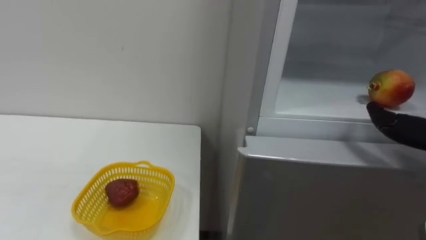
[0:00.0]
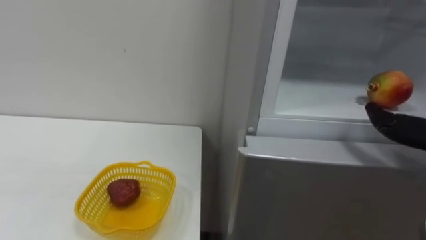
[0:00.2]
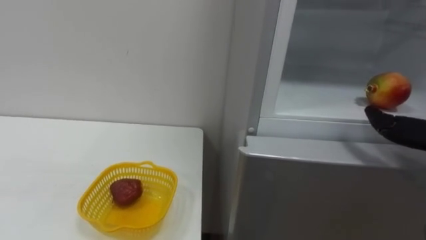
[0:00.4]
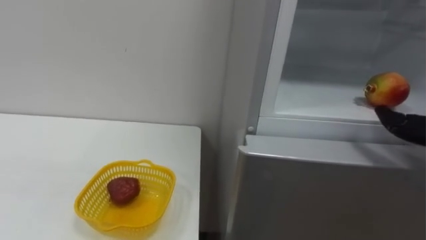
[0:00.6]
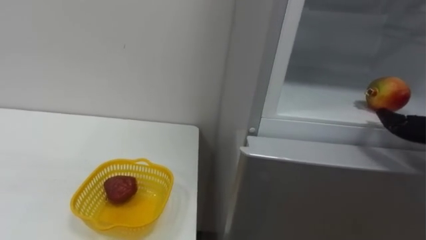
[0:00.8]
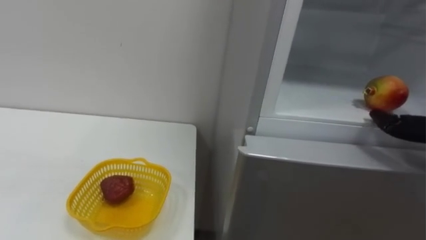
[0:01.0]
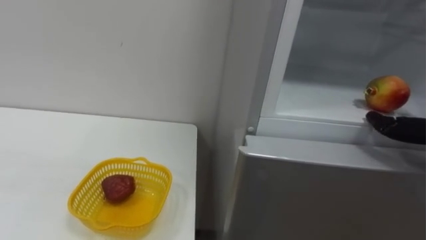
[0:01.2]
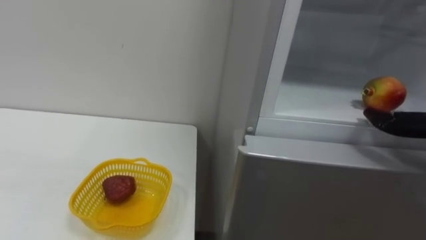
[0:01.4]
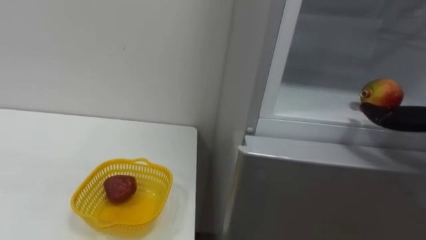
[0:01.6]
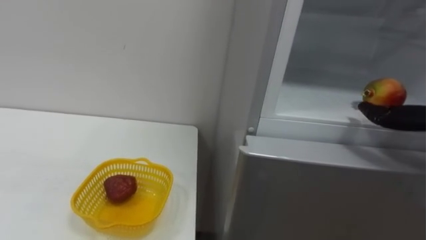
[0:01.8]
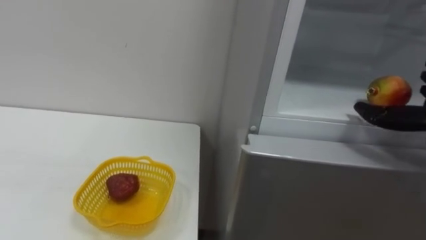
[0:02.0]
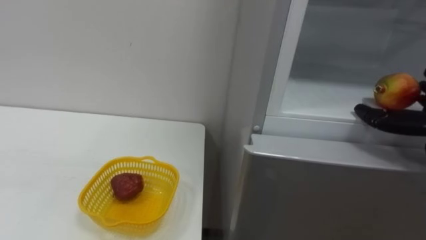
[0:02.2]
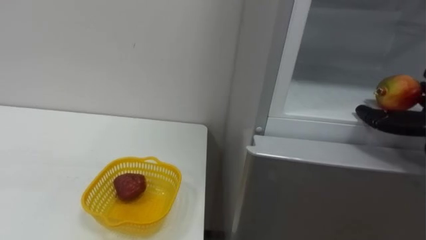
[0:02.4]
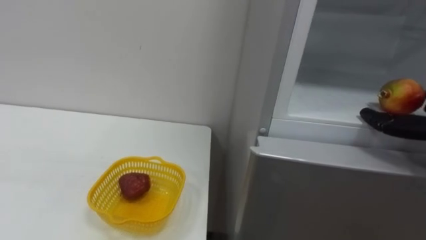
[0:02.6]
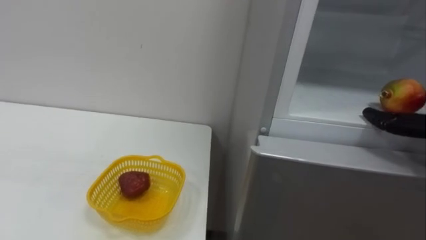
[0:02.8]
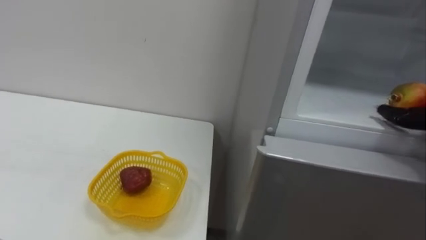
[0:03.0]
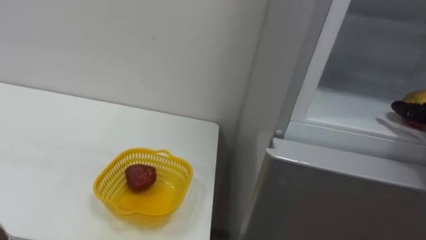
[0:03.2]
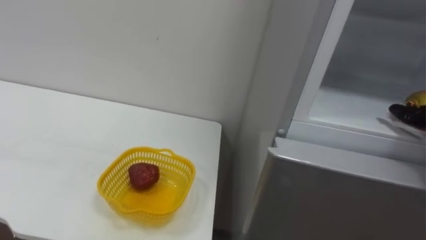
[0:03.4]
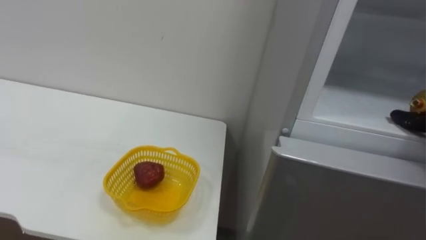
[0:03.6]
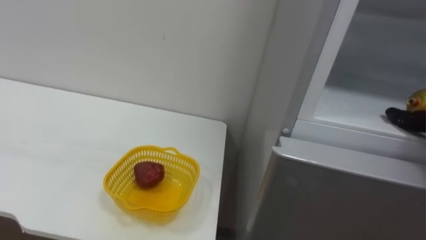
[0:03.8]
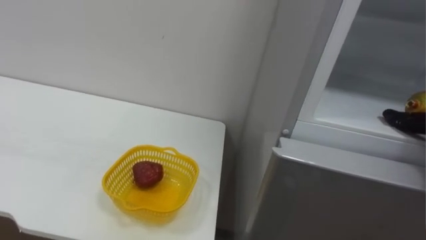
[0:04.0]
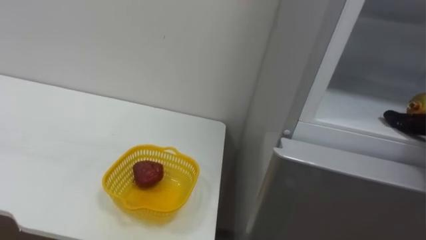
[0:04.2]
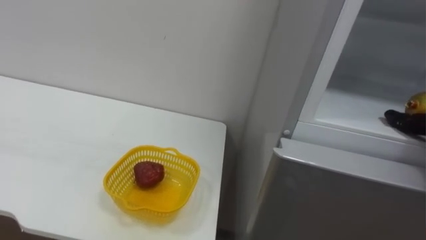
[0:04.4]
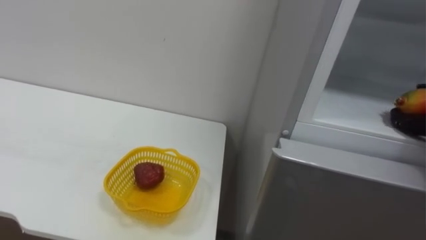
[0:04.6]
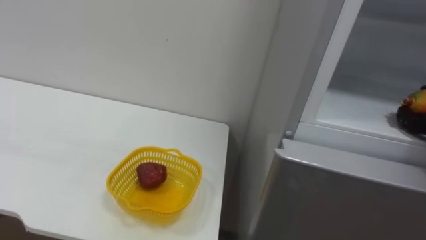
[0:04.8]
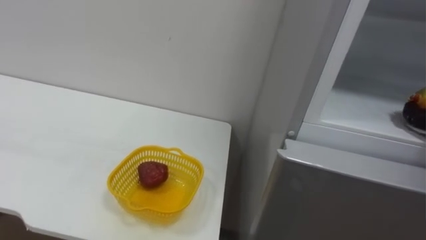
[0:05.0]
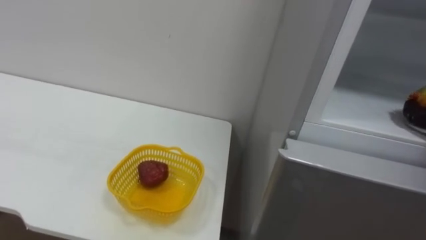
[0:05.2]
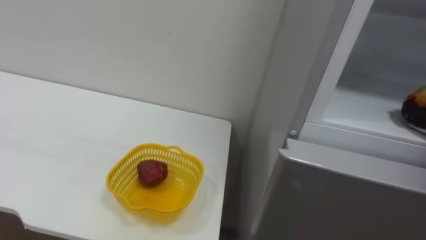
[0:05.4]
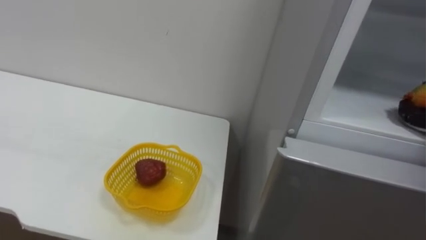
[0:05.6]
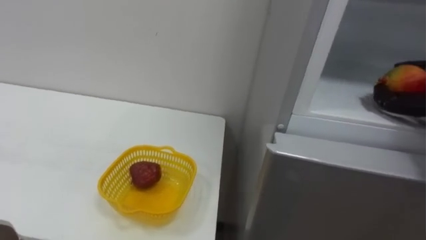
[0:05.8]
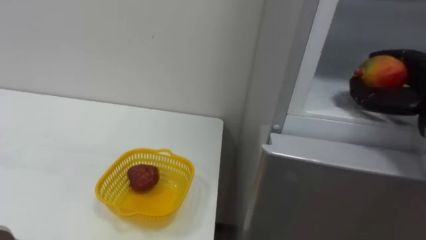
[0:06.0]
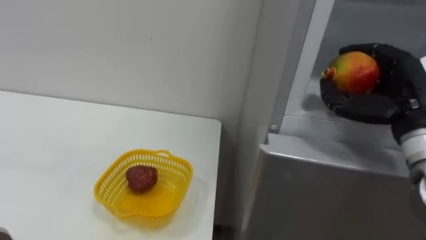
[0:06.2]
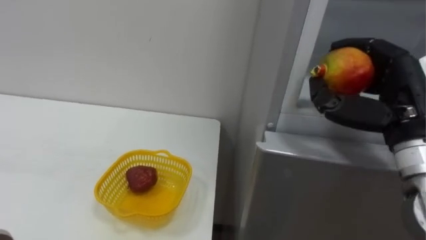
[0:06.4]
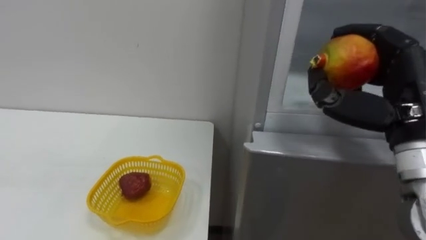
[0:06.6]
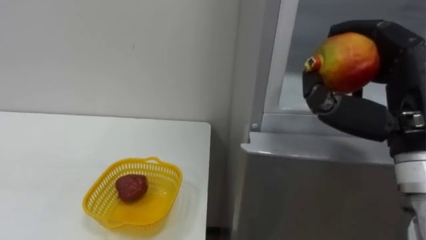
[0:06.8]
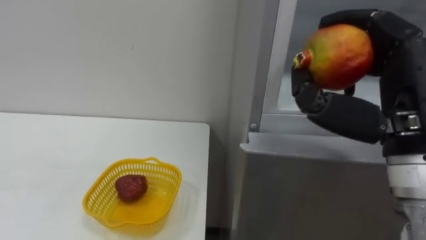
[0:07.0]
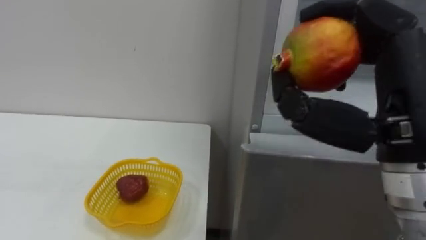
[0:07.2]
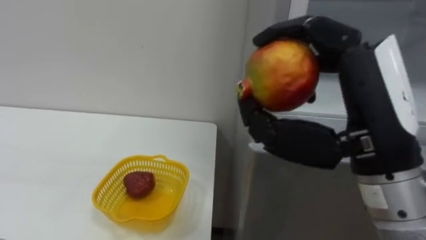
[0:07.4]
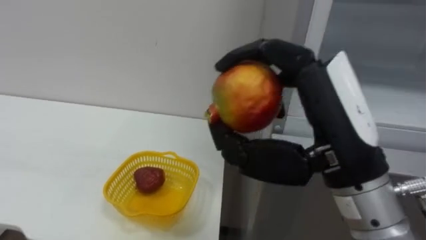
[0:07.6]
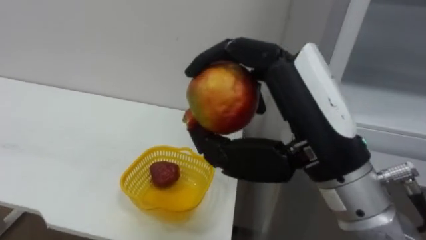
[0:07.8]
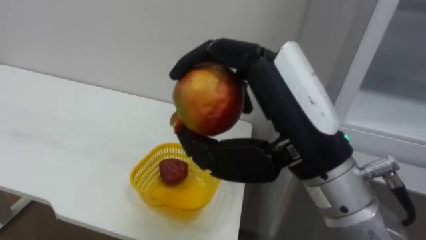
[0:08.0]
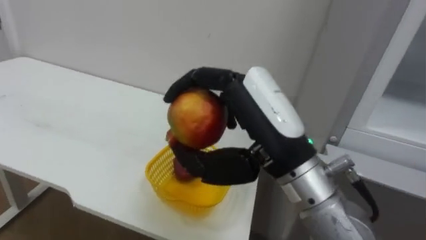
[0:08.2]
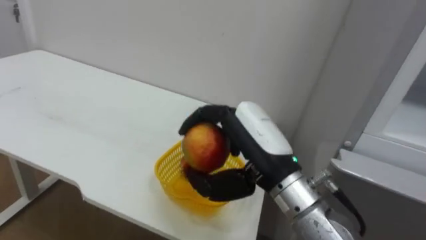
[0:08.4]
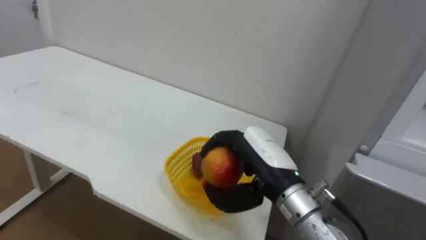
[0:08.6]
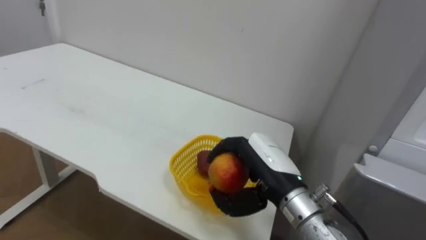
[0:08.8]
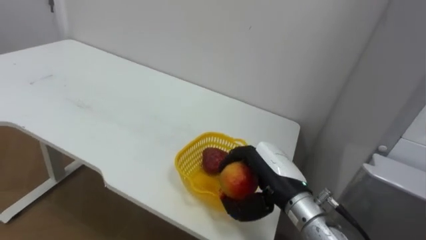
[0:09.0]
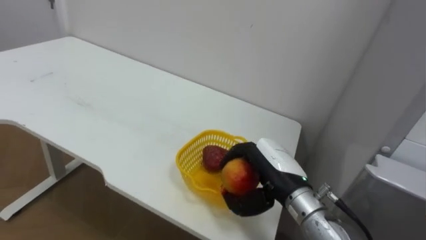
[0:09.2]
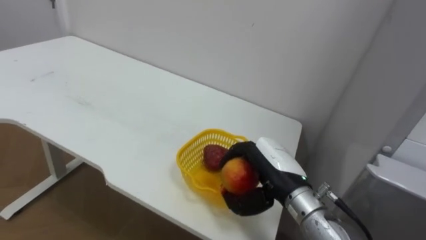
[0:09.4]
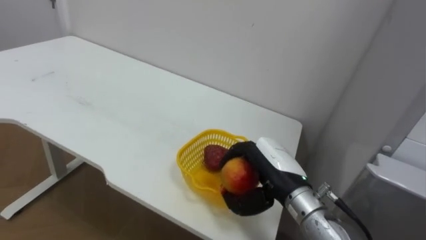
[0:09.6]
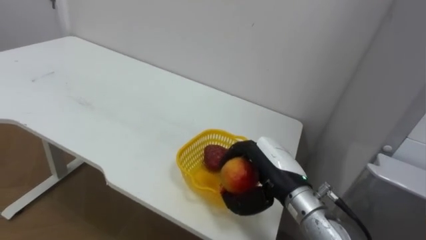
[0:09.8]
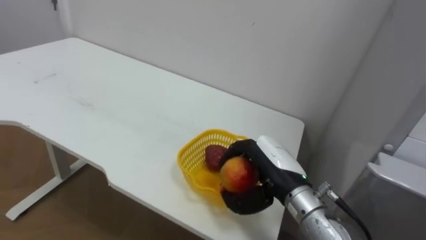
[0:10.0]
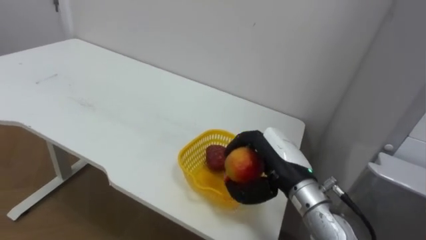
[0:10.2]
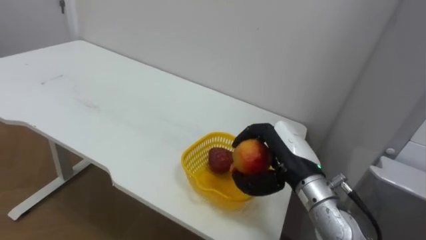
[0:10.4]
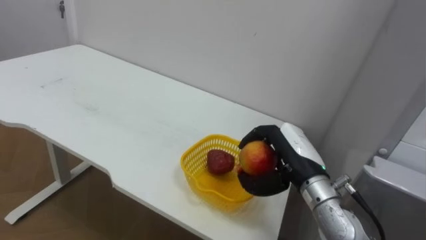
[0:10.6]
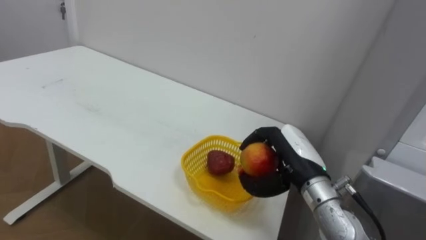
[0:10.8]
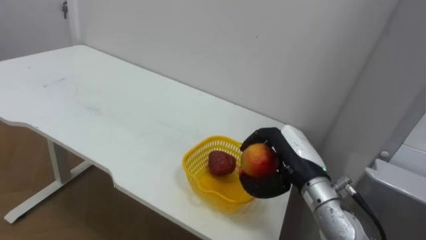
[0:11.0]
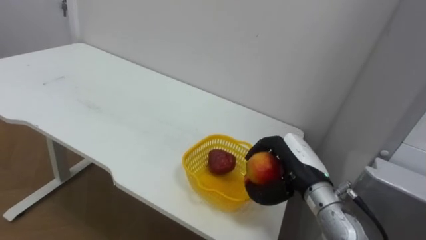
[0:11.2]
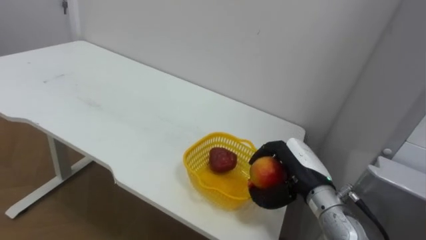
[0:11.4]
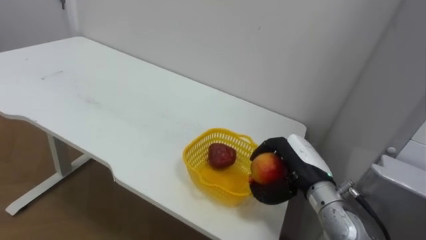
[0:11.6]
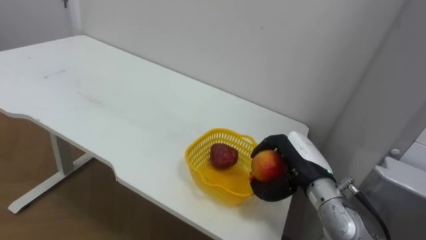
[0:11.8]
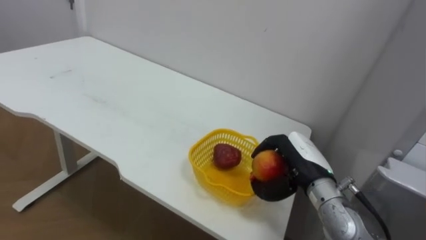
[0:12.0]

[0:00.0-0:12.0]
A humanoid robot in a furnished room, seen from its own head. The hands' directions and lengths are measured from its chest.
Task of the whole recording: Open the refrigerator door, take out the apple and the pomegranate, place them in the fruit basket on the left, and close the refrigerator door.
0:07.6 to 0:09.0: The right hand heads downward and forward, covering about 20 cm.
0:10.4 to 0:12.0: The right hand changes place by approximately 5 cm.

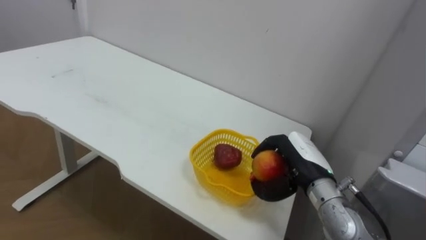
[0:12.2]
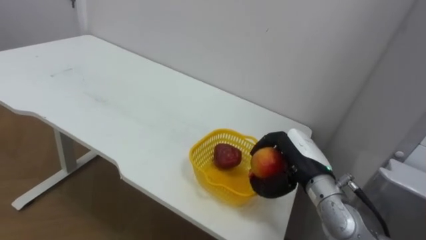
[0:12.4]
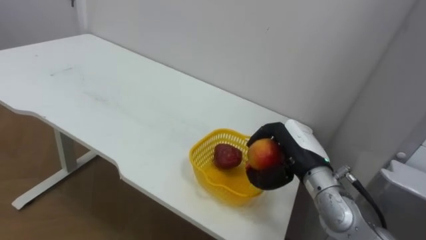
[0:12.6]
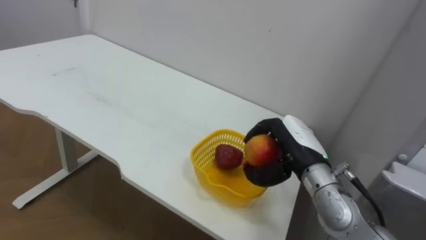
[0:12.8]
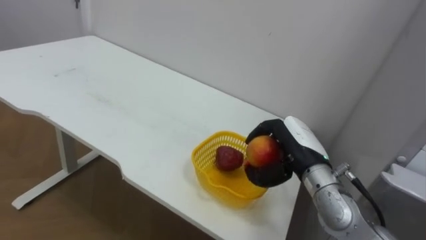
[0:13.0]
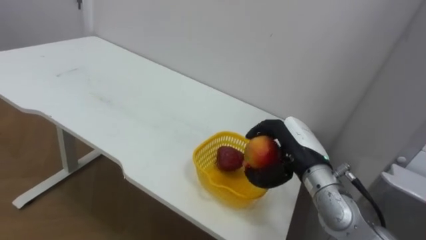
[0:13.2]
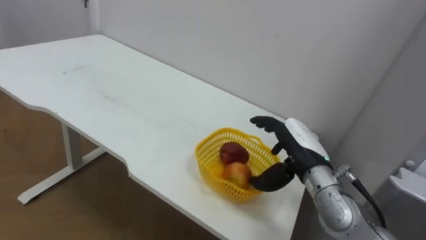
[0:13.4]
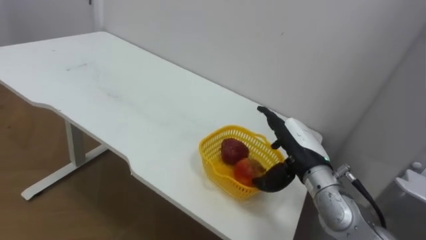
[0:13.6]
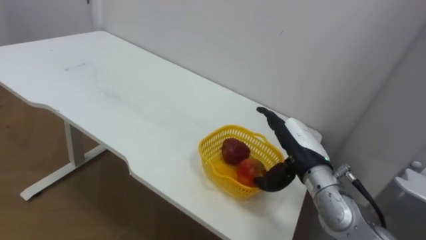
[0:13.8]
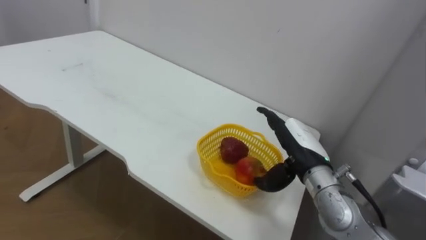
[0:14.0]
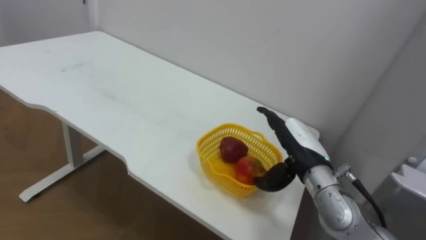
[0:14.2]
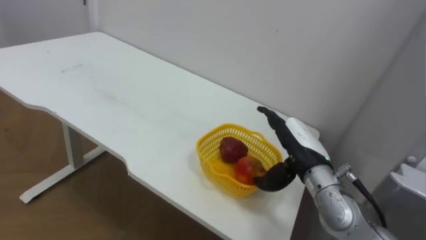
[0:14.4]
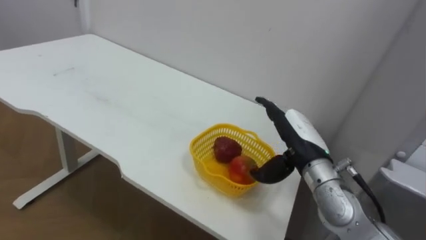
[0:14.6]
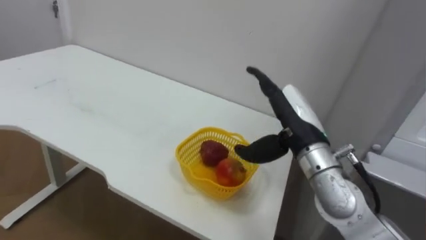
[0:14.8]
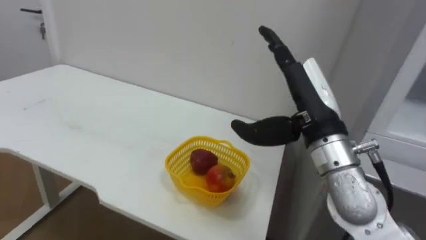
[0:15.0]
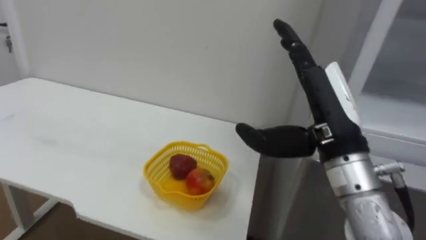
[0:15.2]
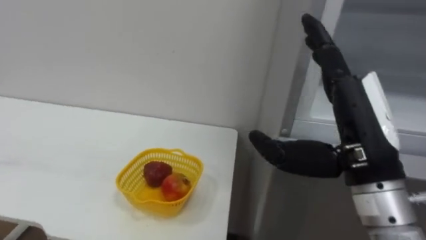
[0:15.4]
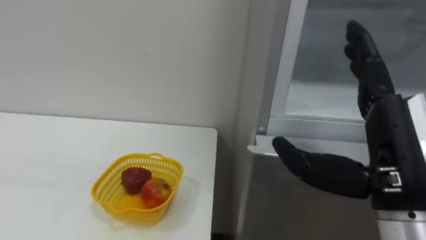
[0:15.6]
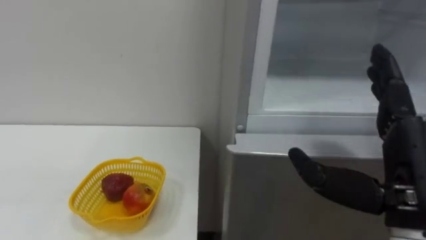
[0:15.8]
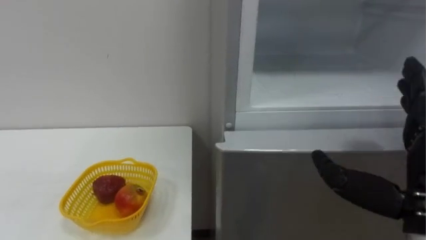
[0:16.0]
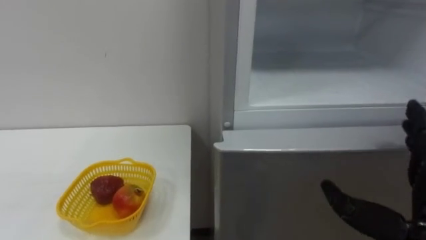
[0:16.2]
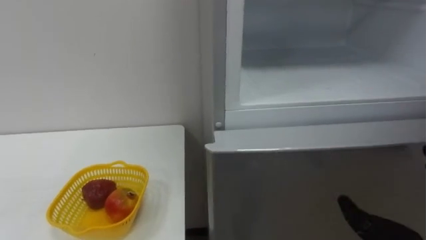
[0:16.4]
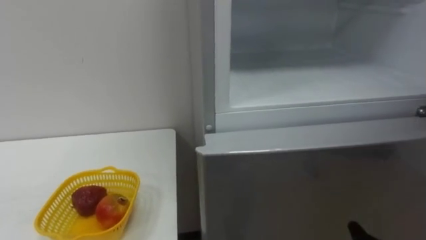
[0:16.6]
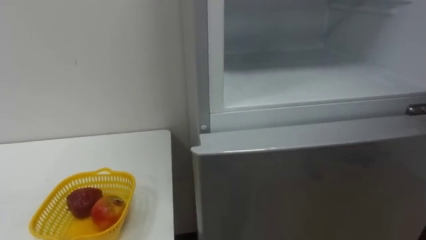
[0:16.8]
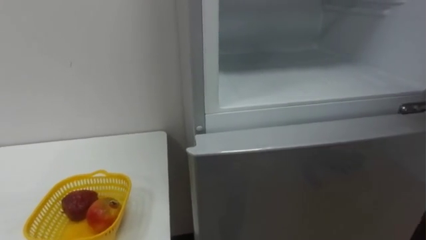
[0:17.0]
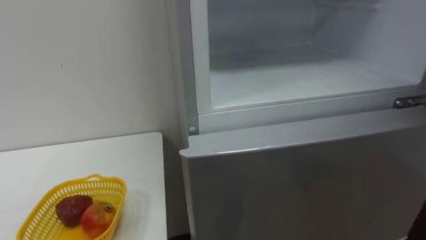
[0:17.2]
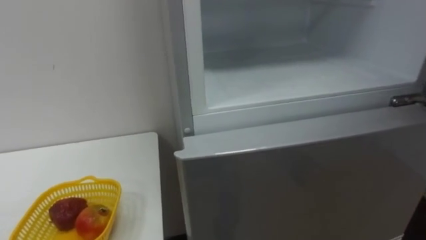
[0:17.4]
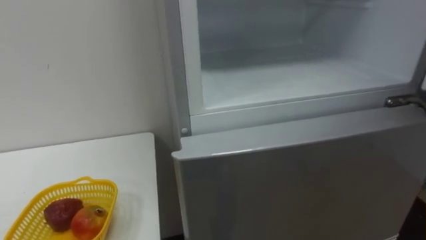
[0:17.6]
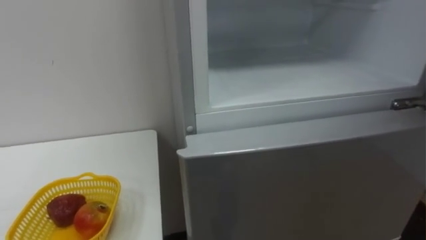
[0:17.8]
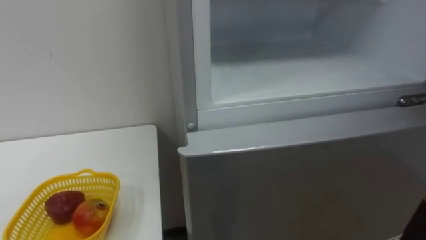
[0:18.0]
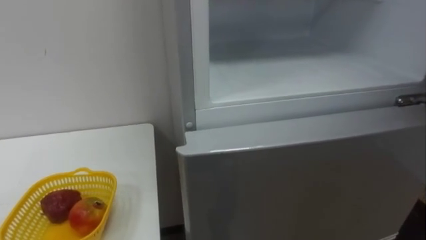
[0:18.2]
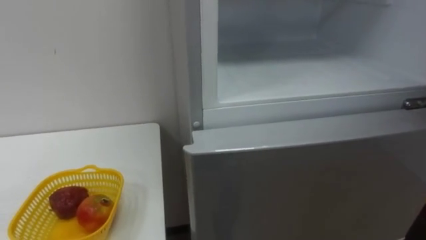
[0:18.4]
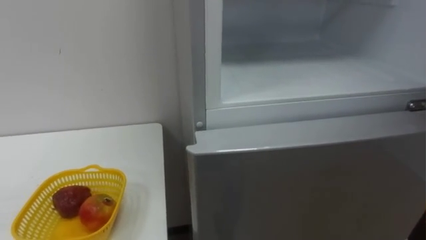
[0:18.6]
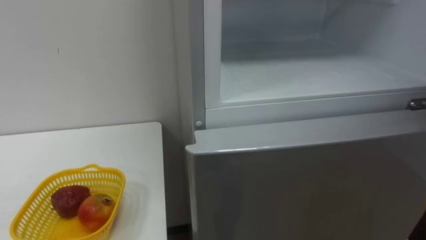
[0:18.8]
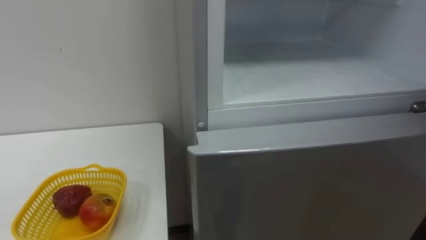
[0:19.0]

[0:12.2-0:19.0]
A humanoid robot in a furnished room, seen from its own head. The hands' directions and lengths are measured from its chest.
Task of the whole recording: Open the refrigerator door, take out the apple and the pomegranate, place them in the fruit basket on the left, and close the refrigerator door.
0:12.2 to 0:13.6: The right hand opens.
0:13.6 to 0:15.0: The right hand travels upward by approximately 10 cm.
0:15.0 to 0:16.2: The right hand heads to the right, backward and downward, covering approximately 20 cm.
